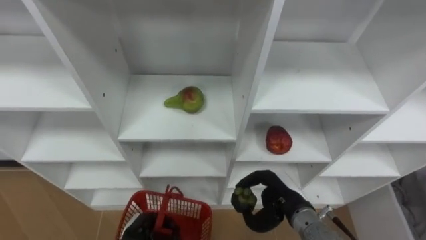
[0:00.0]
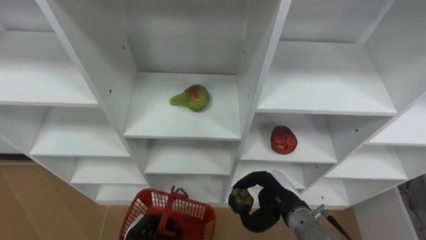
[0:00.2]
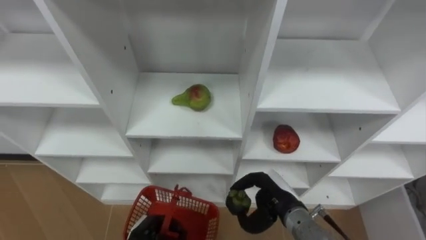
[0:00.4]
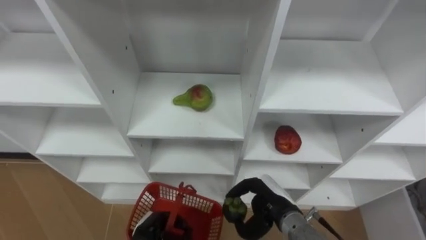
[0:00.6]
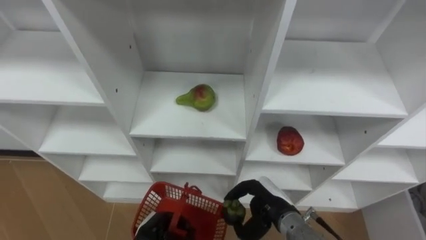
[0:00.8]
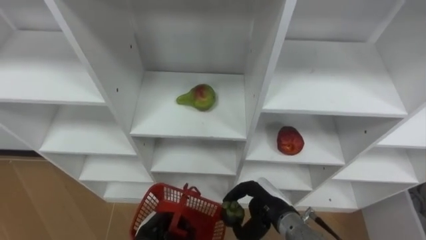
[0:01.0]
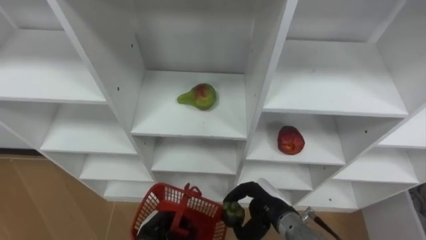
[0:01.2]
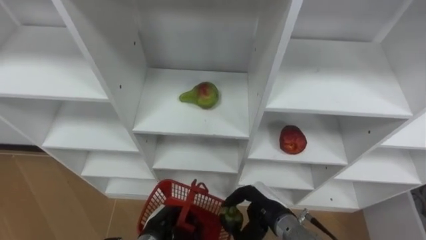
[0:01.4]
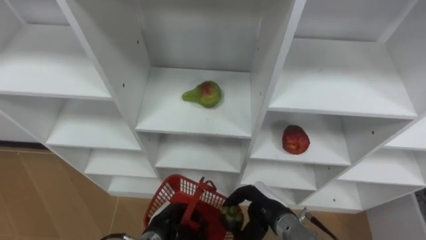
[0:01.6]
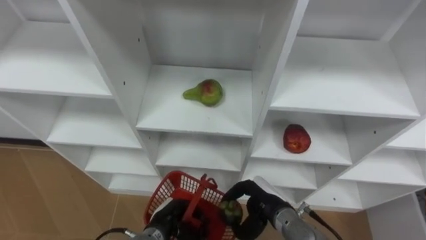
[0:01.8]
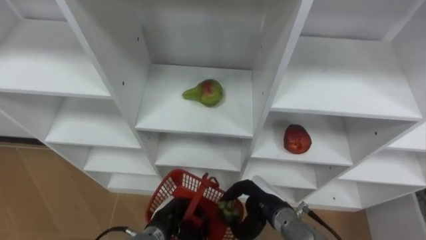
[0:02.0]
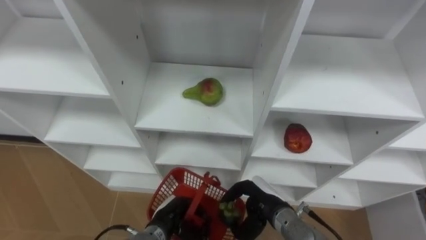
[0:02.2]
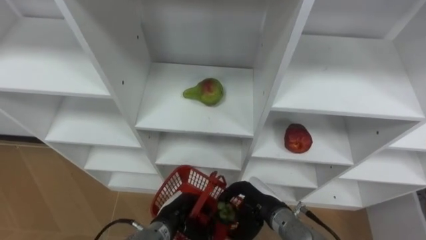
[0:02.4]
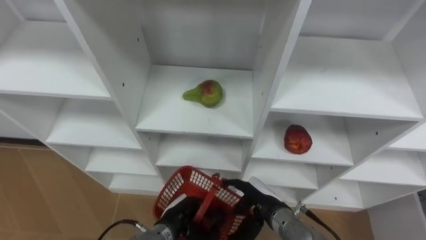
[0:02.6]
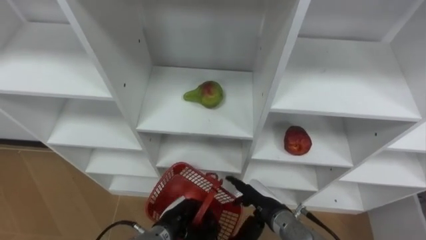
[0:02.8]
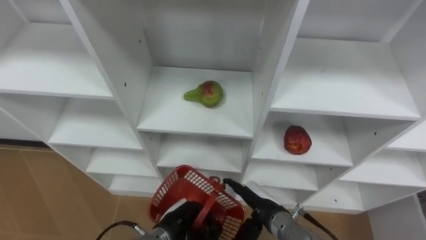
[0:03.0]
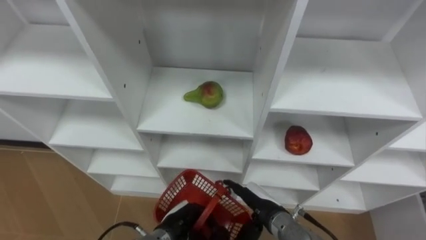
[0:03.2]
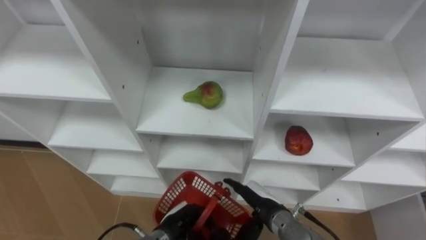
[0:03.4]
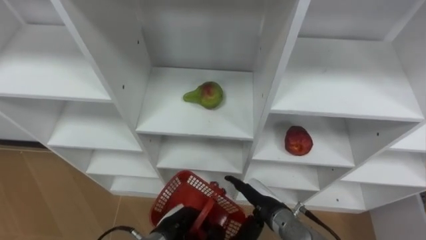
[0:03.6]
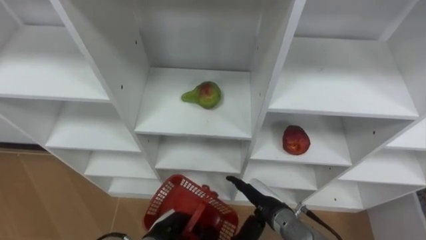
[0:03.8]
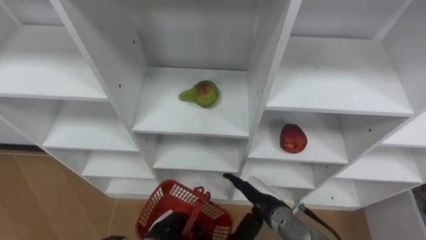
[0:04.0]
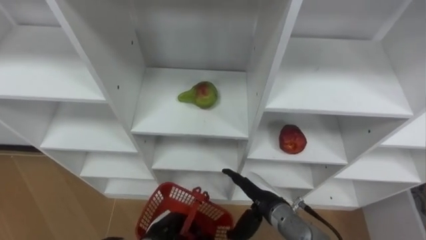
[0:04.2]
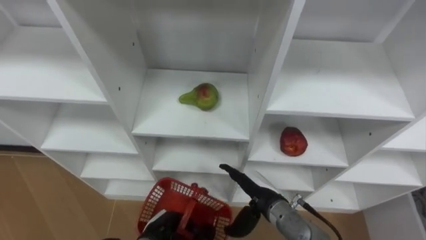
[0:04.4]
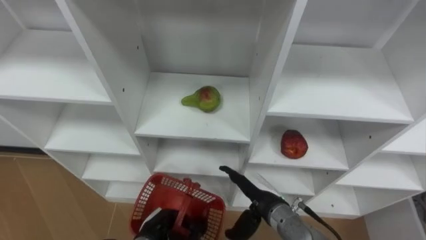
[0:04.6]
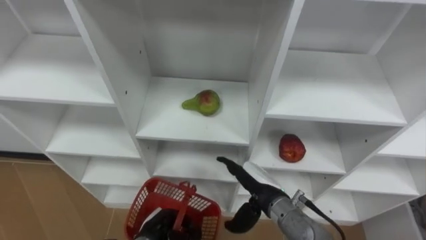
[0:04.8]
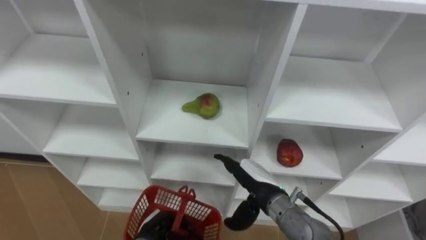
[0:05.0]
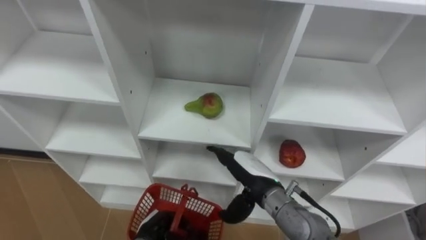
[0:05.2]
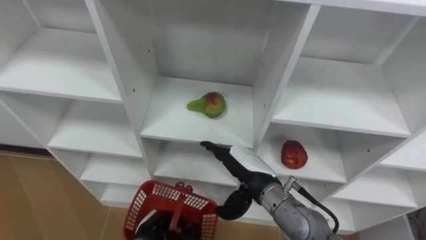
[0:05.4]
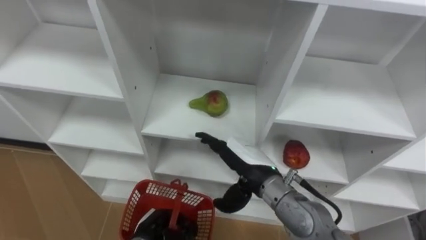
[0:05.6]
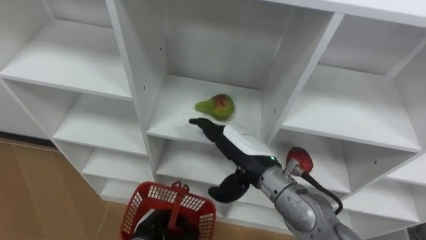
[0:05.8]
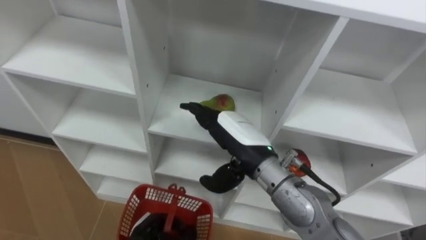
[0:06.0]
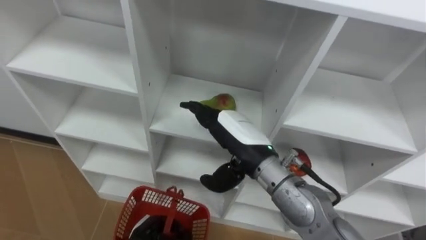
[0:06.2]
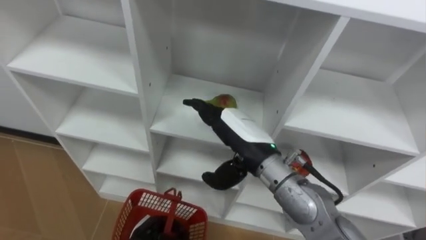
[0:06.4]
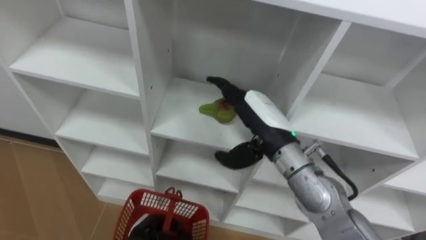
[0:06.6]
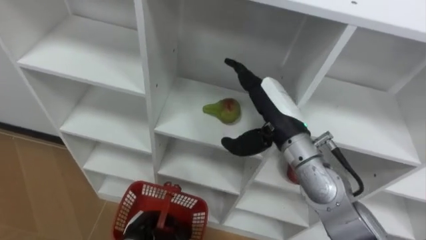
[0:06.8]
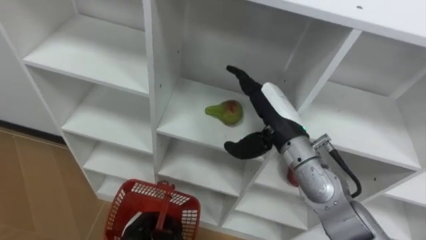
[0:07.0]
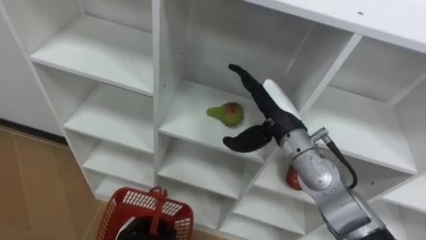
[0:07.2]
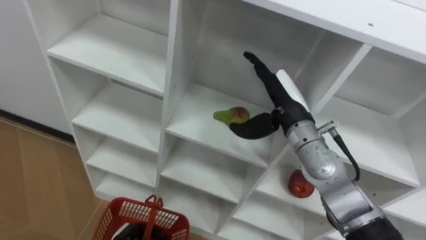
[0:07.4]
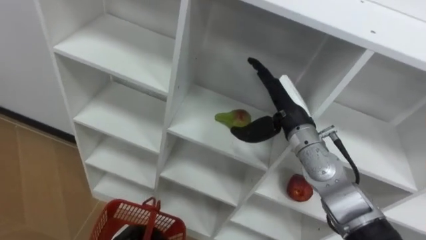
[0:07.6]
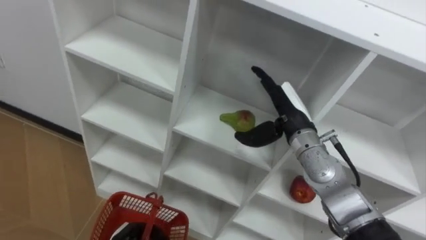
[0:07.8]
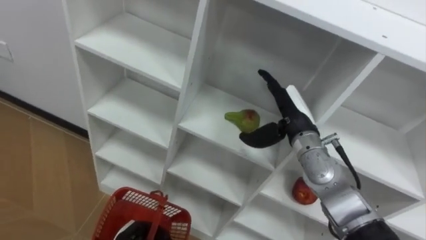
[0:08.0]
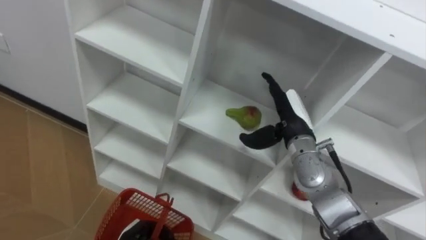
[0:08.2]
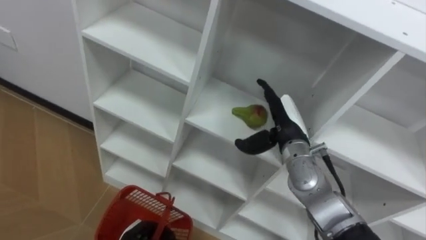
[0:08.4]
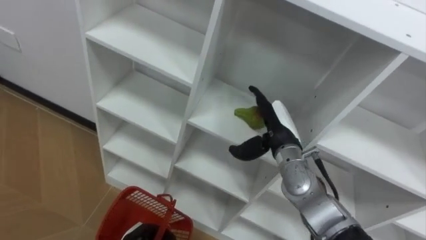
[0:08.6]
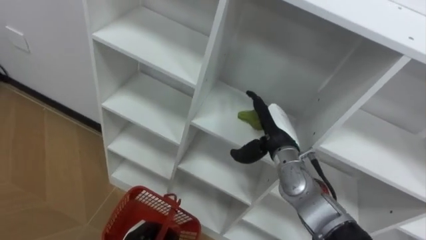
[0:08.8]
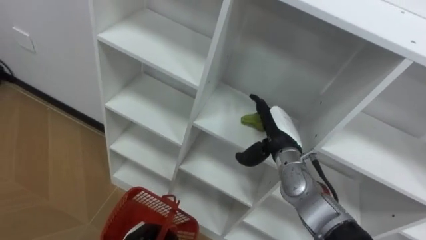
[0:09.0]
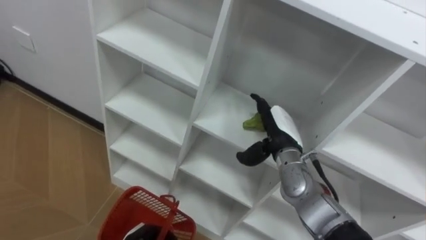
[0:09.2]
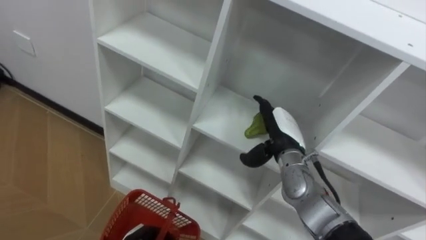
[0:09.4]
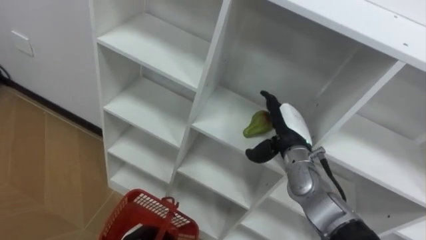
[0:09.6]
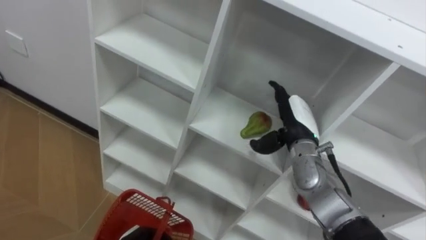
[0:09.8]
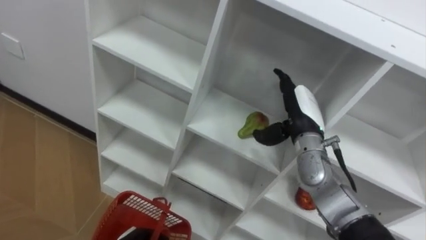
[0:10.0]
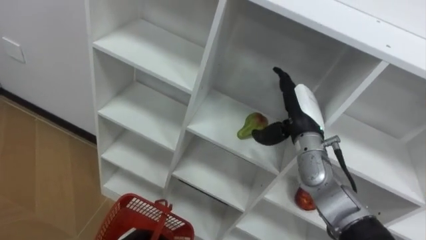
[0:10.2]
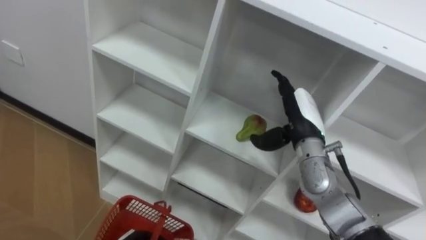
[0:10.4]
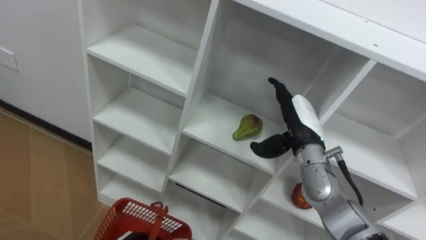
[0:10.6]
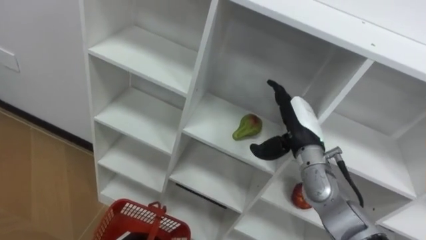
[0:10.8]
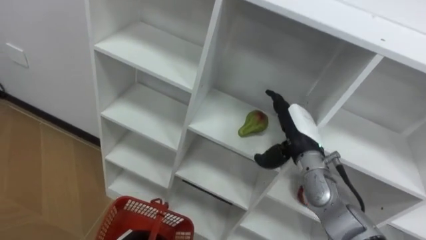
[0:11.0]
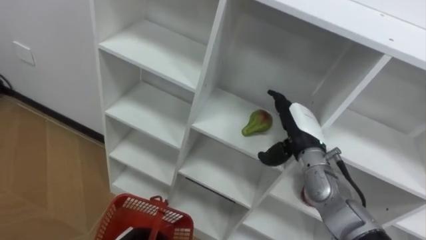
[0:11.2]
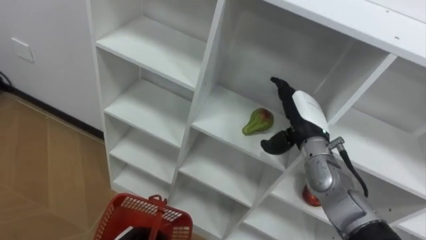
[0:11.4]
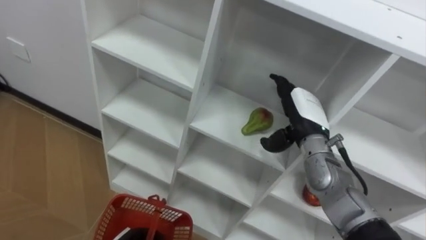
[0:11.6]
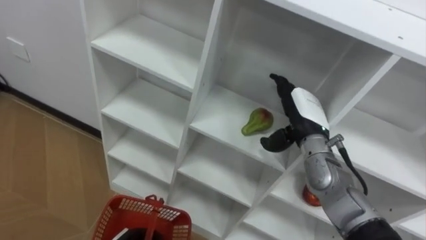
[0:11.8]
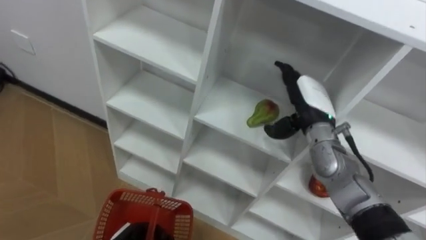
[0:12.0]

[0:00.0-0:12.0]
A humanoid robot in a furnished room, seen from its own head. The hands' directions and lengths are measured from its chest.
Task of the whole recording: Hold the basket and collect the fruits from 3 different cells of the closet into it.
0.0 to 1.6 s: The left hand heads to the right, covering some 5 cm, while the right hand moves some 5 cm.
1.6 to 3.0 s: The right hand opens its fingers.
4.4 to 6.0 s: The right hand heads upward, covering approximately 15 cm.
6.0 to 7.6 s: The right hand shifts approximately 10 cm to the right and forward.
7.6 to 9.0 s: The right hand goes about 5 cm downward.
9.0 to 10.4 s: The right hand shifts by approximately 5 cm.

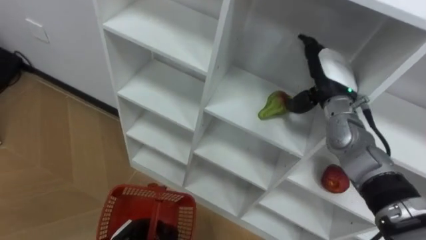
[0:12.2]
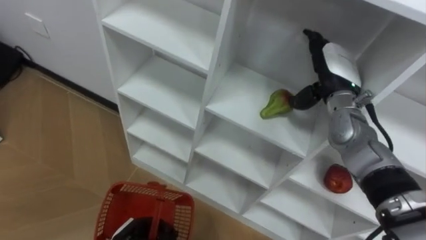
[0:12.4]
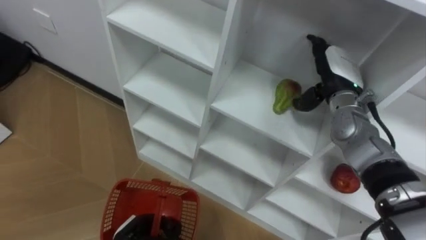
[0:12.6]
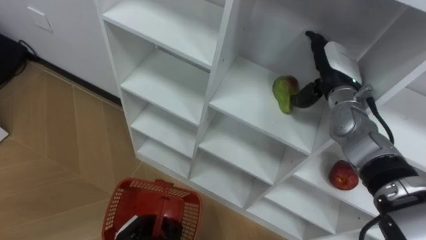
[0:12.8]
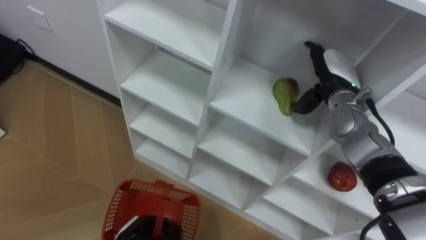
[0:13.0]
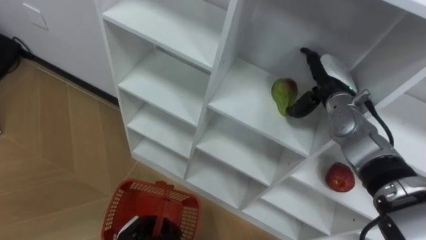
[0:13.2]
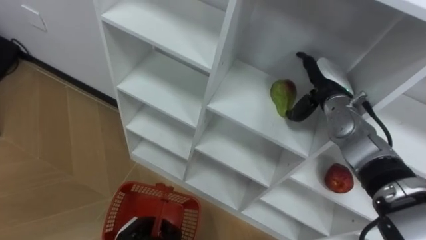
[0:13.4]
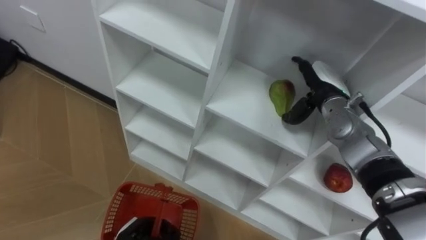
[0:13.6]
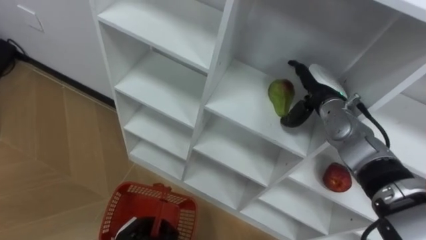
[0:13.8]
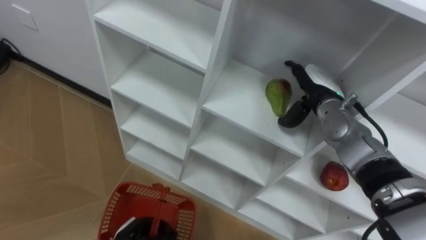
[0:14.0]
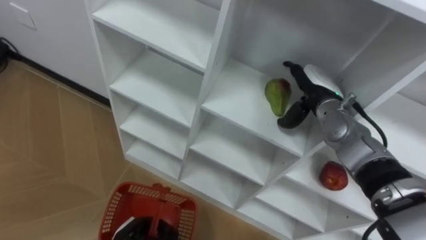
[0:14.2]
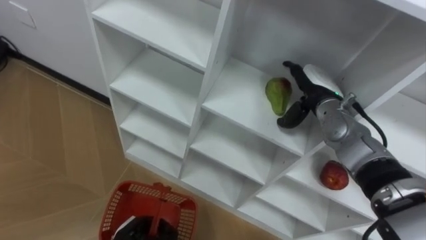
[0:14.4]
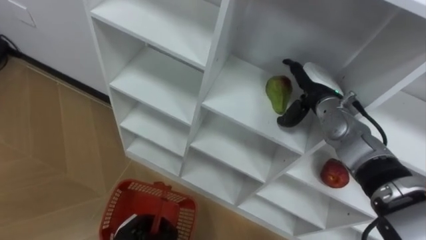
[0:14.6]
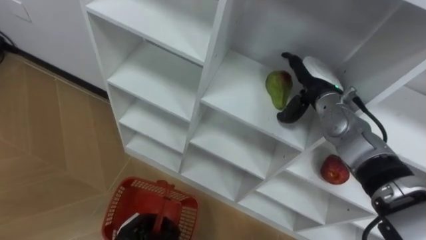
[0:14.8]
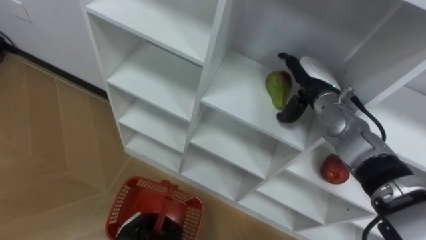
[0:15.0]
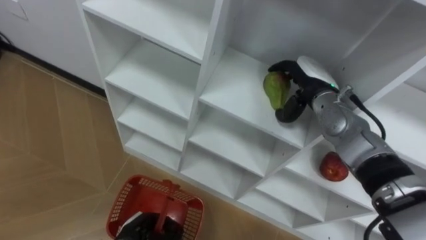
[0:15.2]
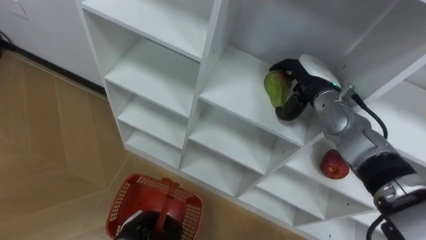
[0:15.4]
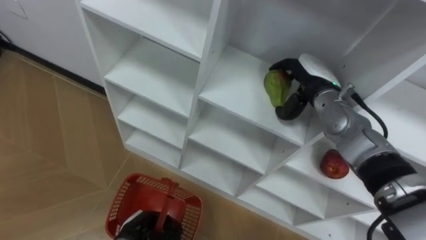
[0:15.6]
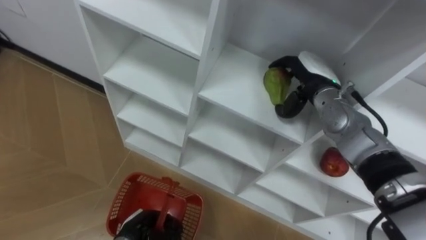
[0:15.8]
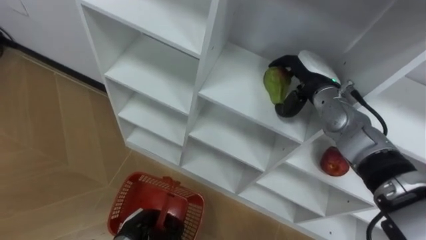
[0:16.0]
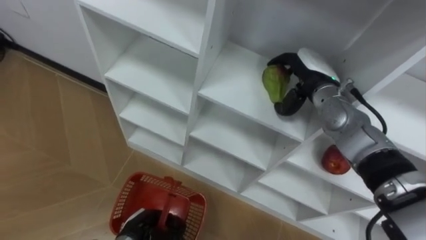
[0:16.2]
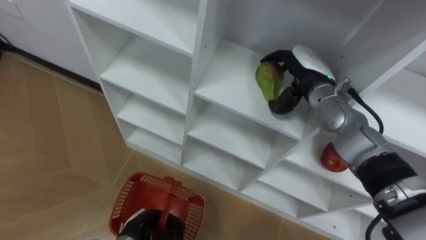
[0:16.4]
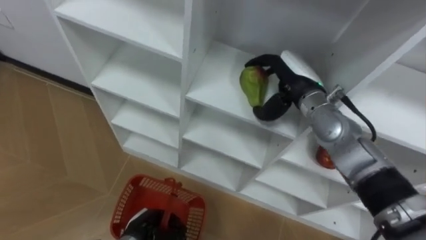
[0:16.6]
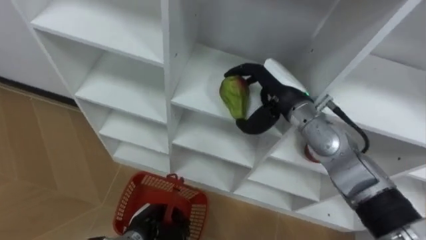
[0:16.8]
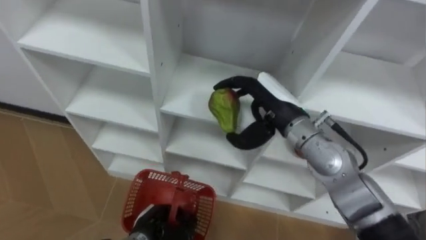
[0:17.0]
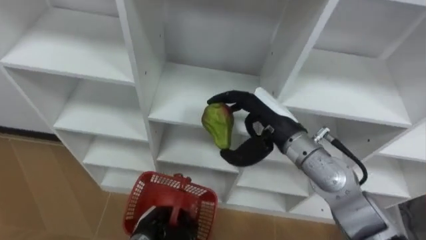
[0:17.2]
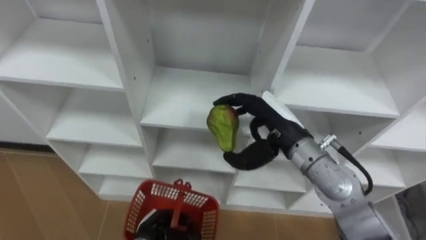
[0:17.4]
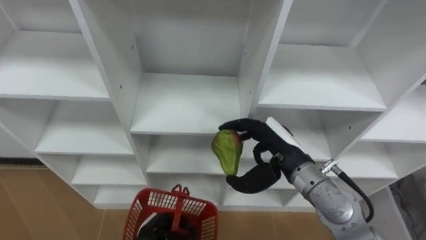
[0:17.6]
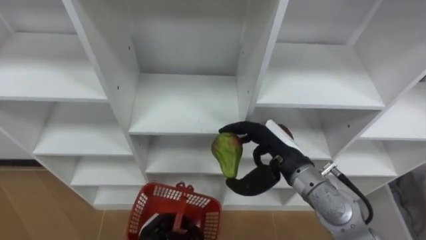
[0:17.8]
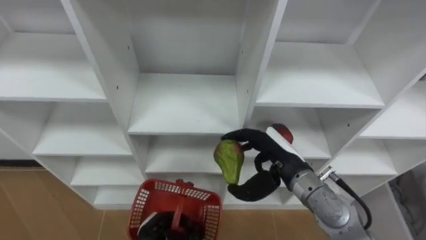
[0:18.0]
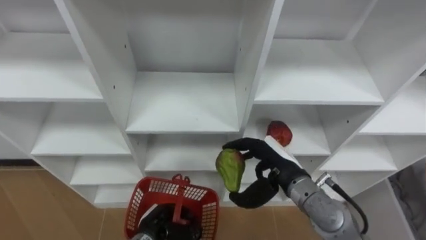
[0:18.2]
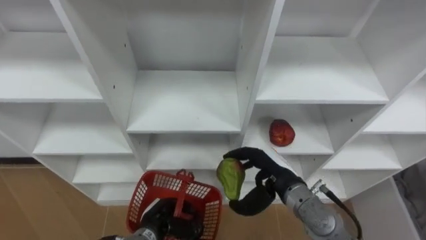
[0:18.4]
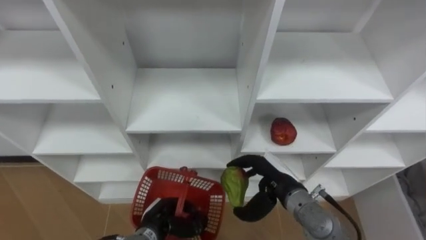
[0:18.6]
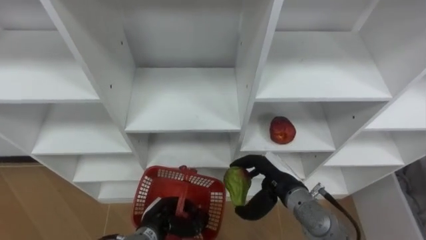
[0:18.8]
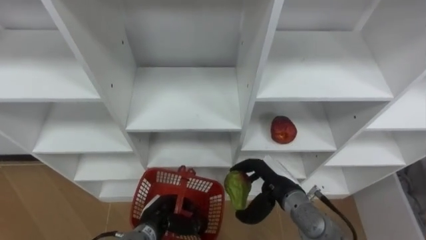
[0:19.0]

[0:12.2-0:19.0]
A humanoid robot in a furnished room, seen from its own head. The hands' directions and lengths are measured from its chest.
Task of the whole recording: Hold the basket and collect the fruits from 3 different cells of the closet into it.
15.0 to 16.2 s: The right hand closes.
16.2 to 17.6 s: The right hand heads backward and to the left, covering about 15 cm.
17.6 to 19.0 s: The right hand is displaced downward by approximately 10 cm.
